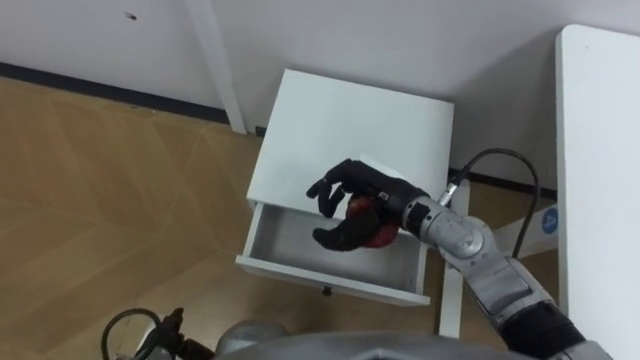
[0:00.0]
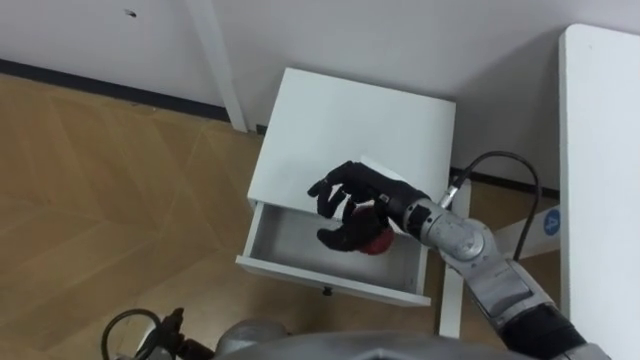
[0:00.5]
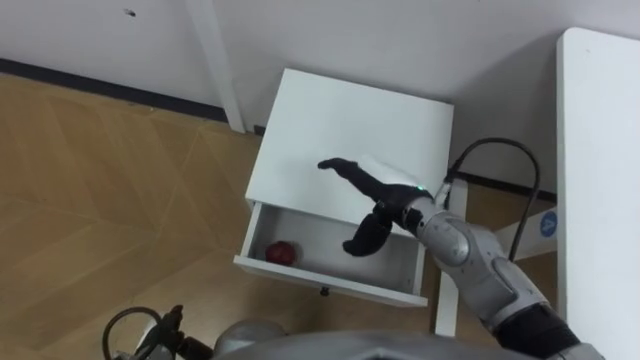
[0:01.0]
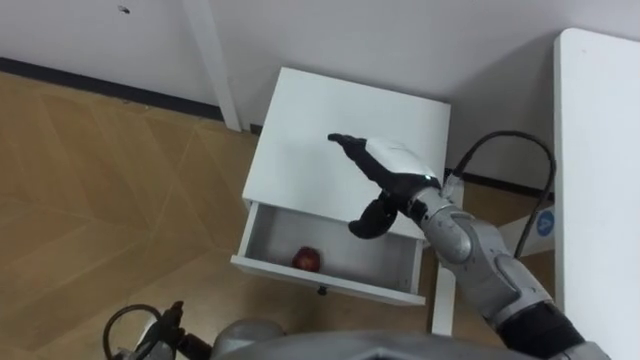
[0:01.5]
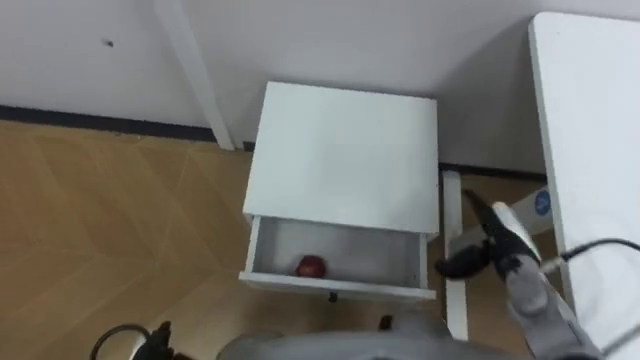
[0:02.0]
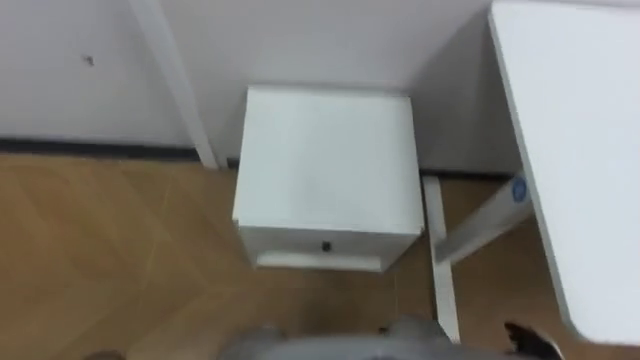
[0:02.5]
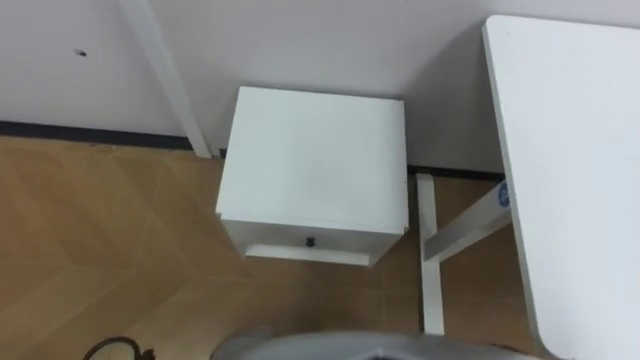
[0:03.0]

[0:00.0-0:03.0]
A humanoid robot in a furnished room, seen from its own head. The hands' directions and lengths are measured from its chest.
Task of the whole recording: Pick up the apple from the table, put it in the drawer, and close the drawer with leg.
0:00.0 to 0:01.5: The right hand opens.

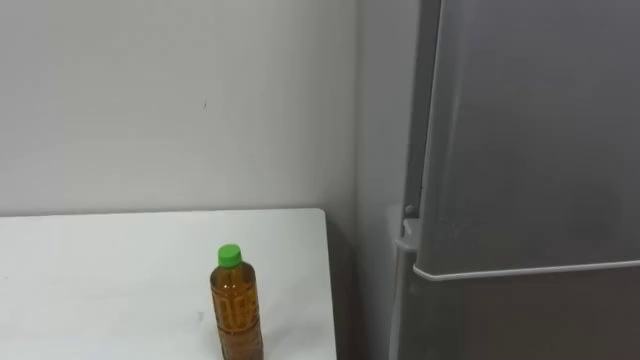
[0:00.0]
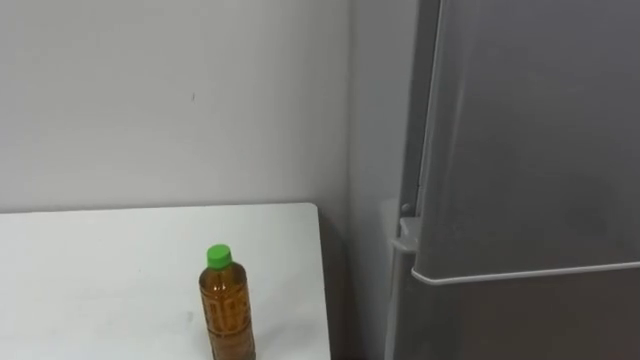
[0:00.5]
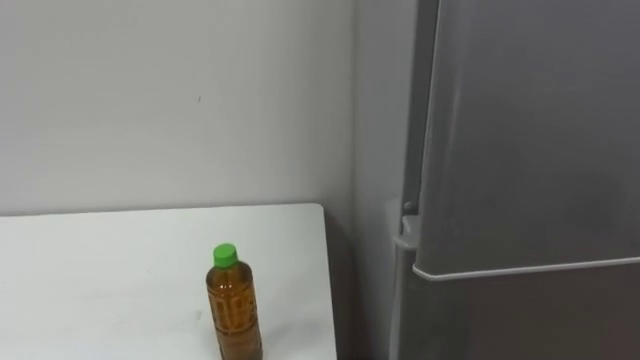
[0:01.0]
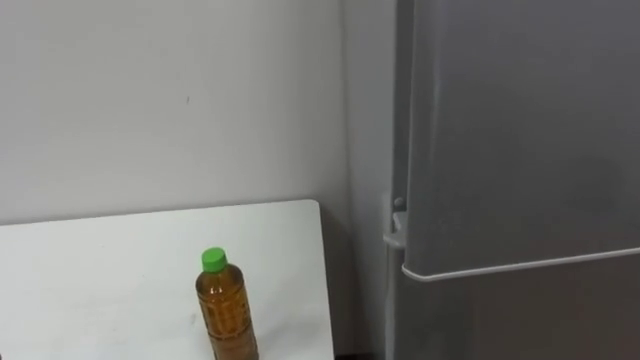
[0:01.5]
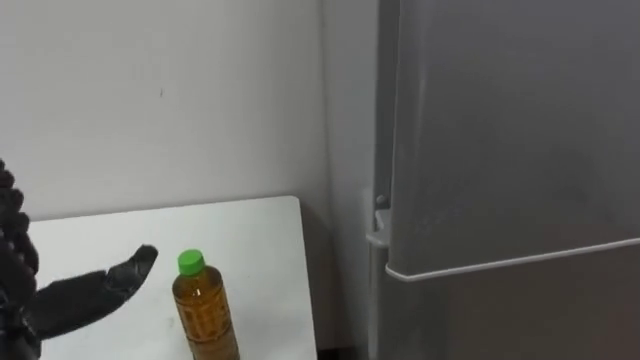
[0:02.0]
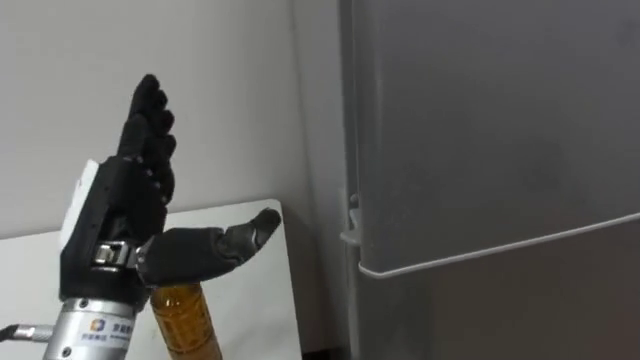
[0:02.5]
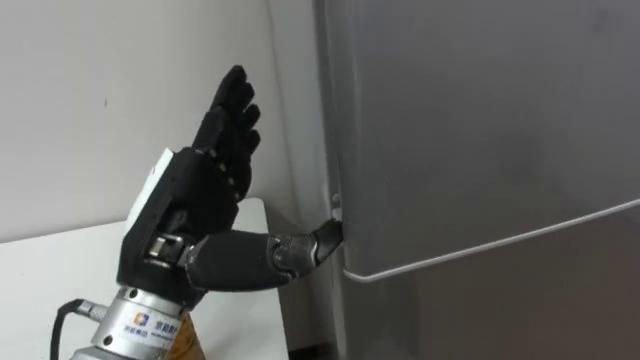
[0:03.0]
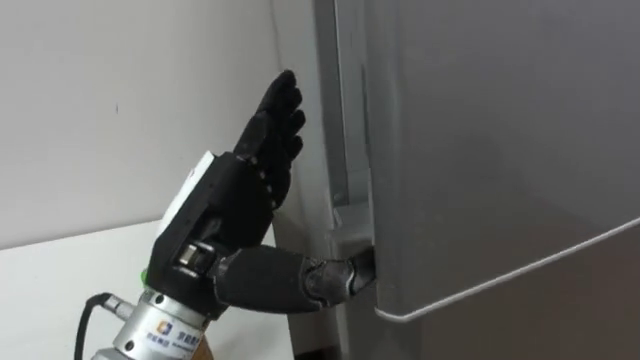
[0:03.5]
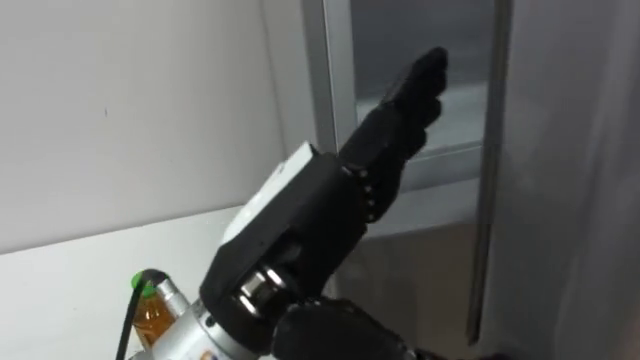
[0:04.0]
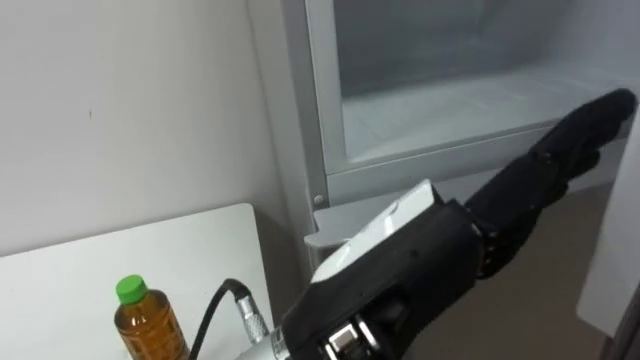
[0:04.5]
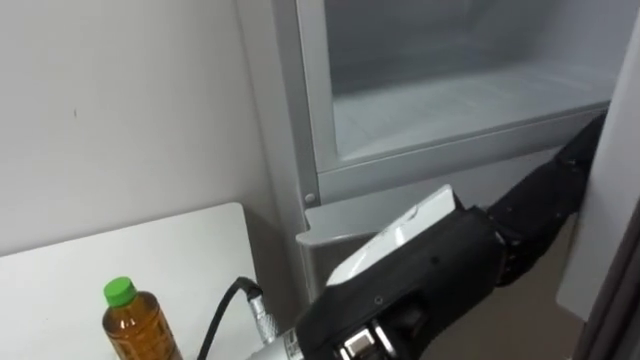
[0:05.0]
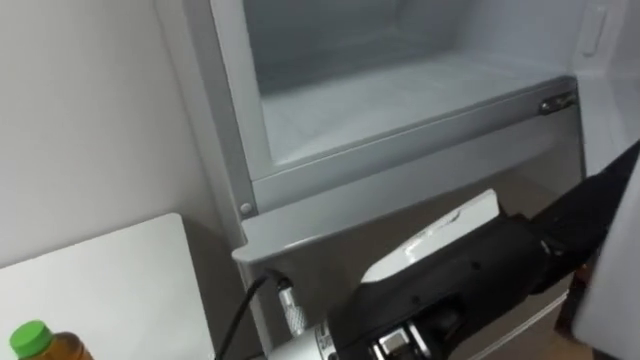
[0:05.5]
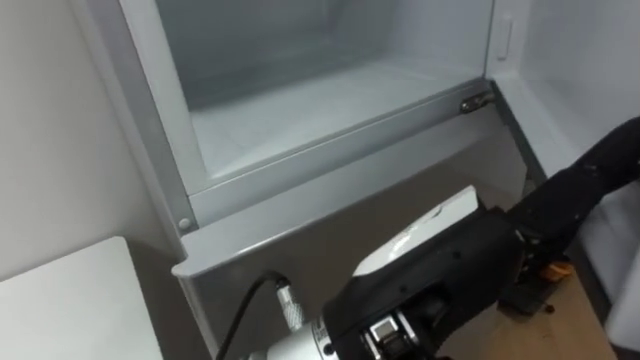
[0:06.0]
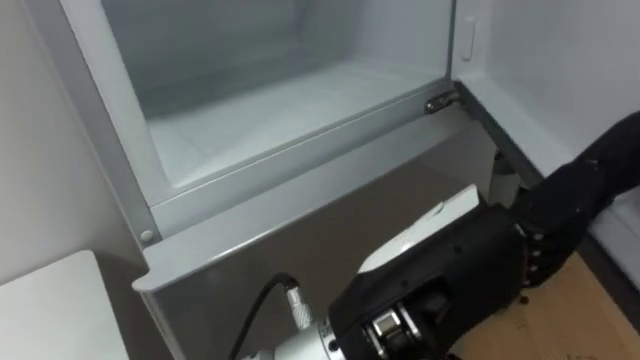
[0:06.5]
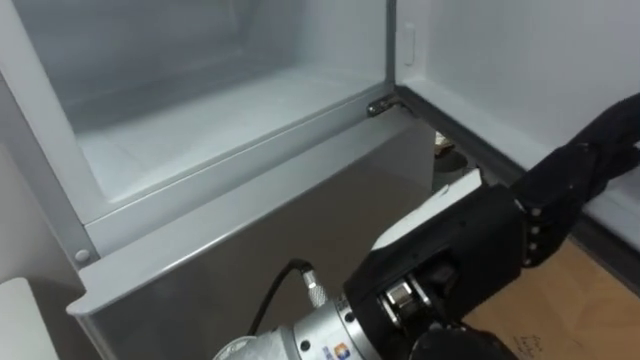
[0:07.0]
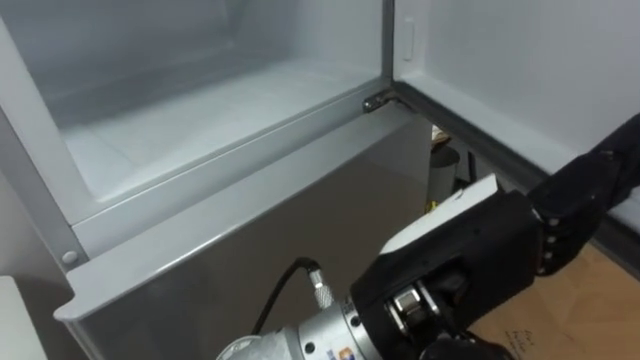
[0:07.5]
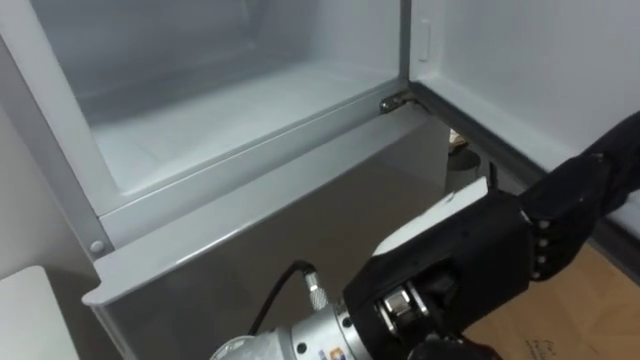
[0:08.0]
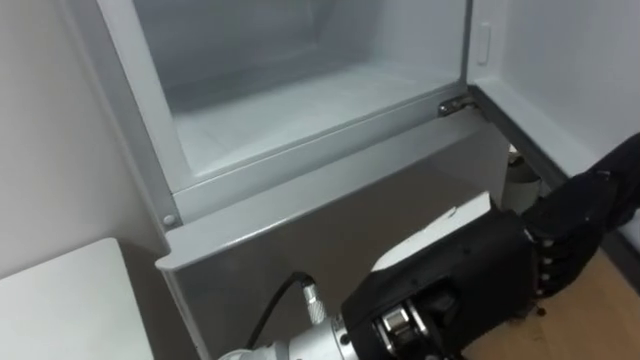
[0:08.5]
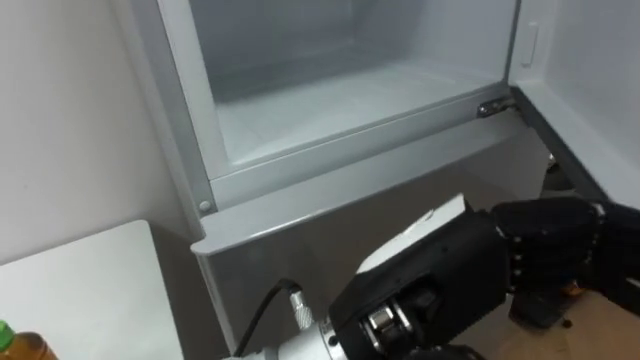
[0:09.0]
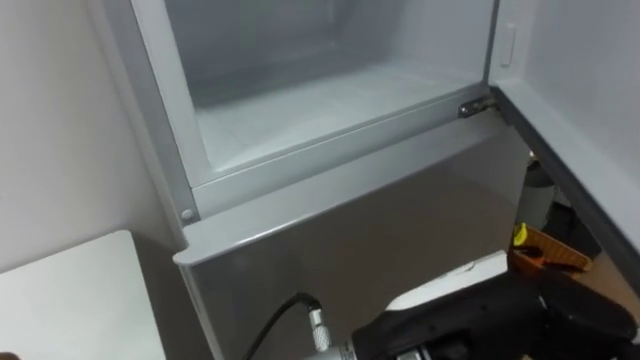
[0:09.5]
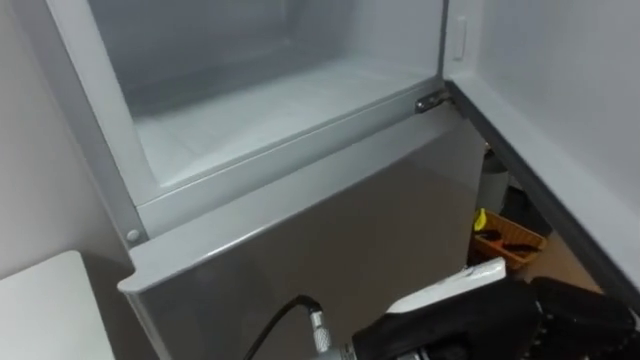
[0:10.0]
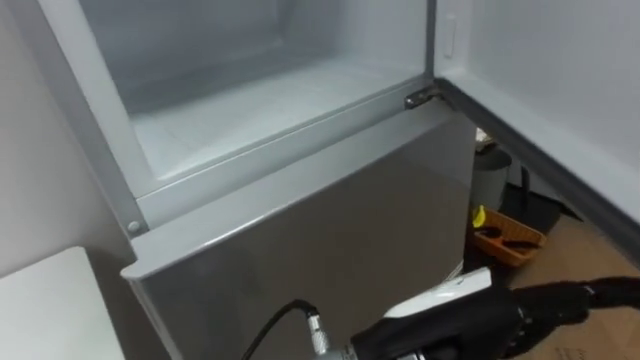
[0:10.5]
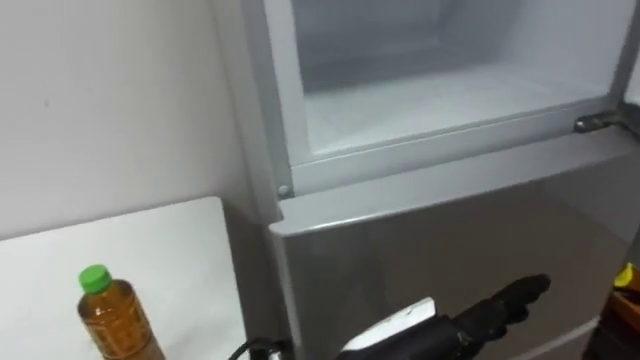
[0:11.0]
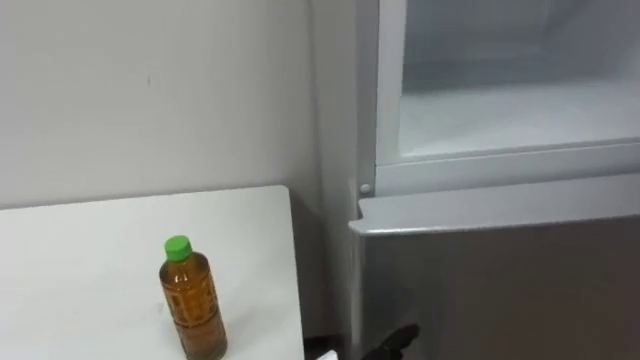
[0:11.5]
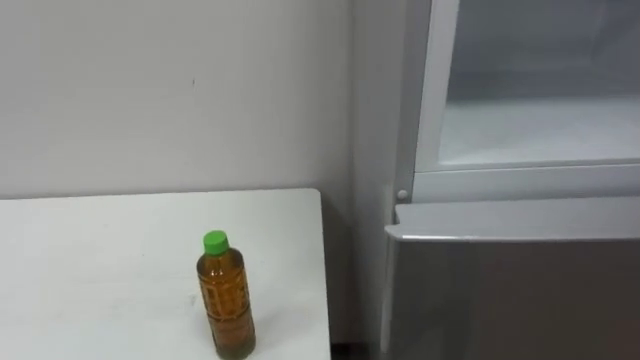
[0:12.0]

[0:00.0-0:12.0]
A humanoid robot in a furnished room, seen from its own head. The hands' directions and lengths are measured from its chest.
Task of the whole recording: Open the upper refrigerator door, put the drink from the table into the refrigerator, and then close the refrigerator door.
0:04.0 to 0:06.0: The left hand heads to the right, covering approximately 10 cm.
0:08.0 to 0:10.0: The left hand closes and opens again.

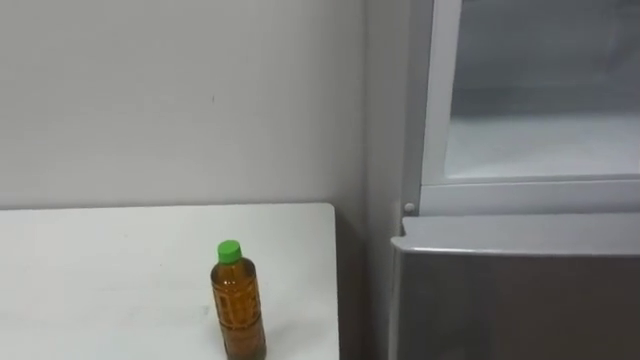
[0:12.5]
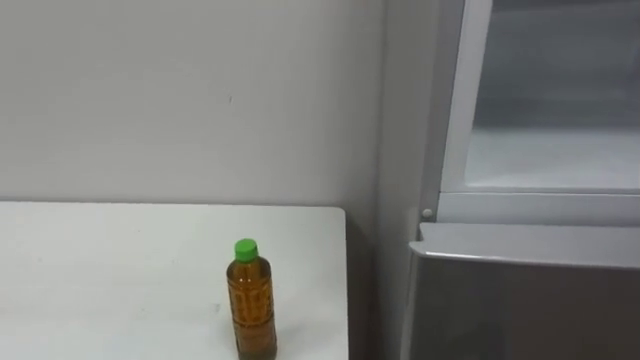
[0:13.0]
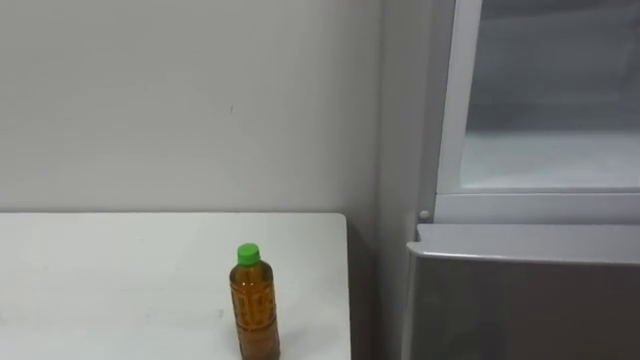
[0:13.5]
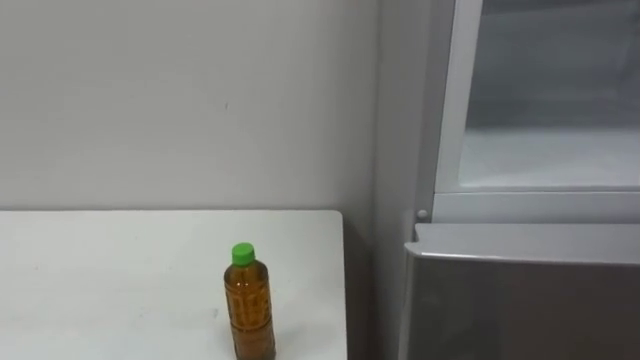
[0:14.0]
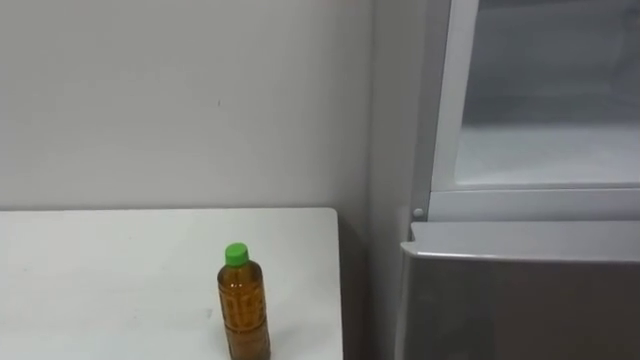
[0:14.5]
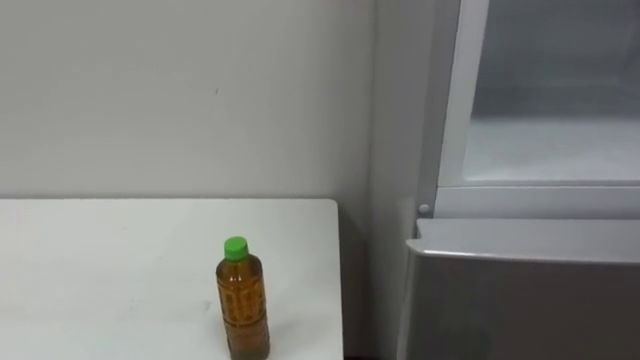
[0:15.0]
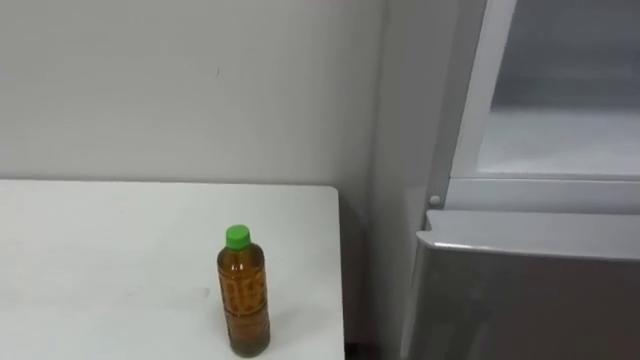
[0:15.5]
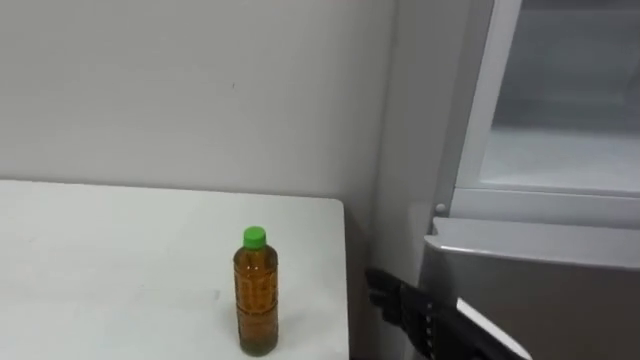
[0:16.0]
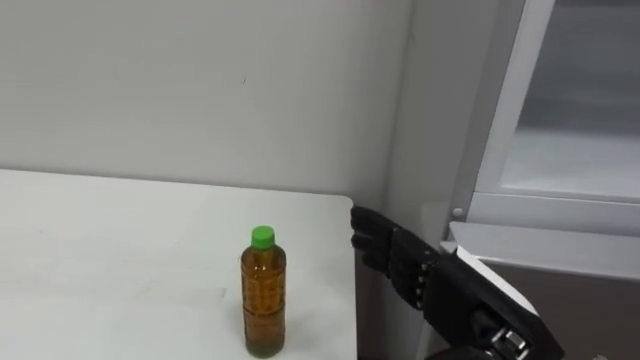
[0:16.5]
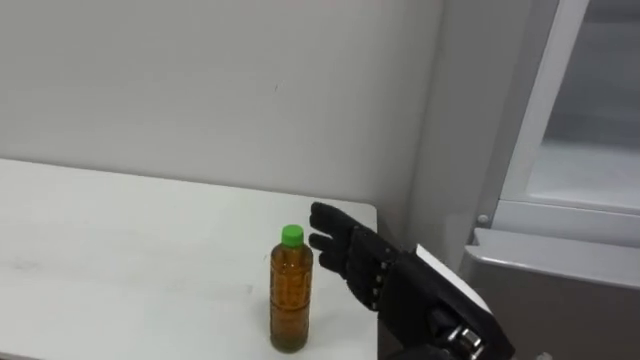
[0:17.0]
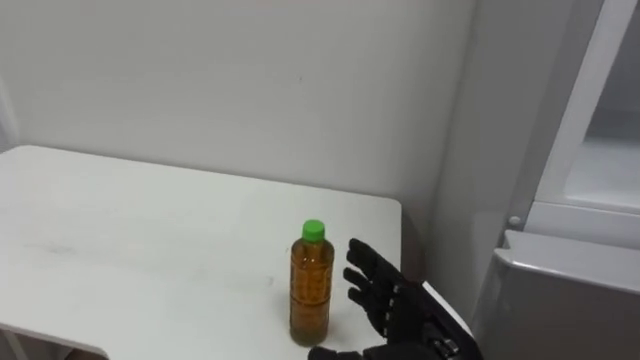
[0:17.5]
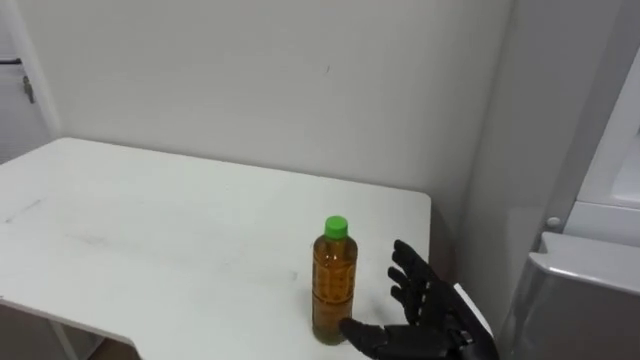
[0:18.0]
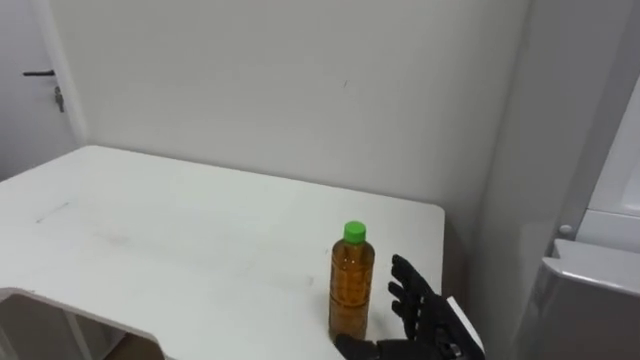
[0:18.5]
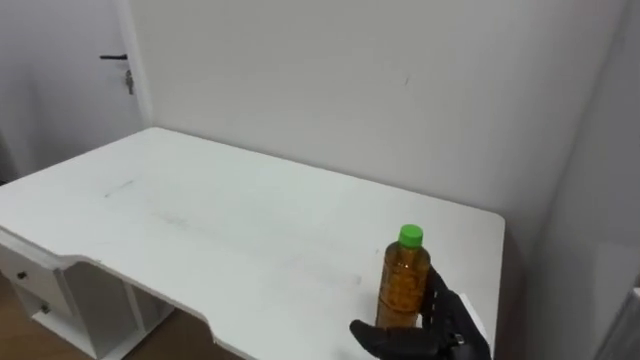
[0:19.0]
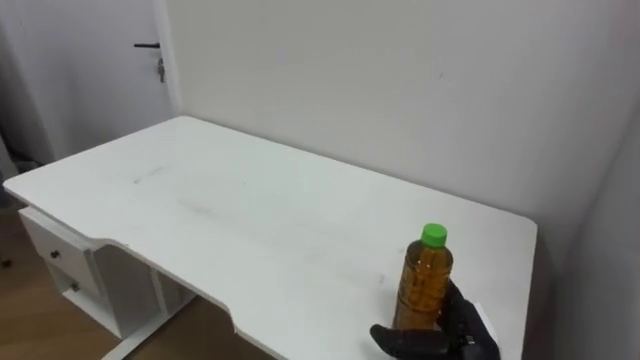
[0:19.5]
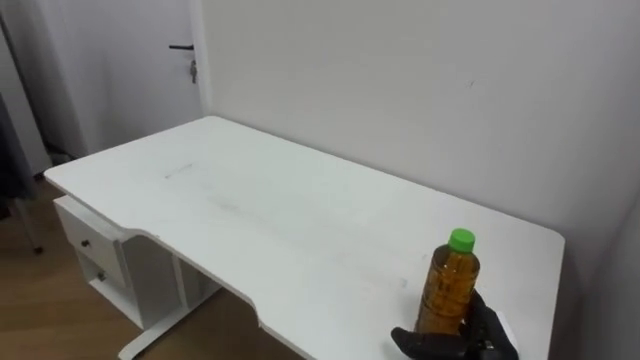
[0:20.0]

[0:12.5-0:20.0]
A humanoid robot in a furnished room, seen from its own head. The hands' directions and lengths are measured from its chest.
Task of the whole recording: Open the upper refrigerator door, put the drink from the table into the refrigerator, and then close the refrigerator door.
0:16.5 to 0:18.0: The right hand shifts roughly 10 cm downward and forward.
0:18.0 to 0:20.0: The right hand travels downward and to the right by approximately 10 cm.
